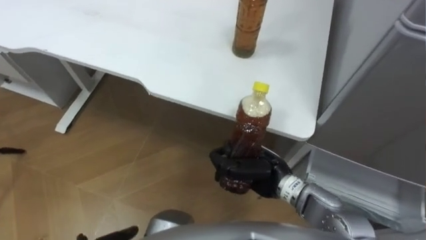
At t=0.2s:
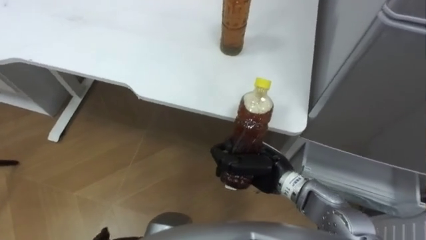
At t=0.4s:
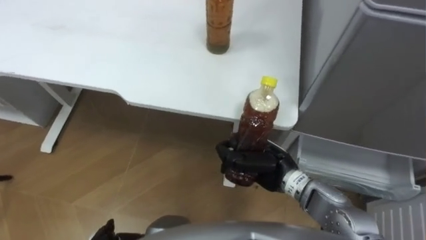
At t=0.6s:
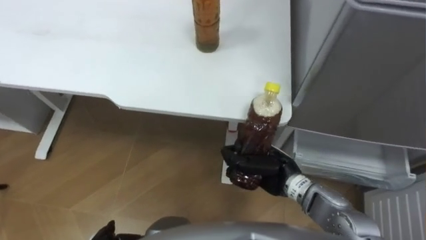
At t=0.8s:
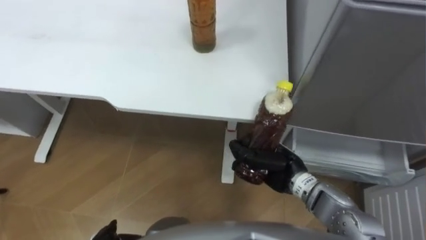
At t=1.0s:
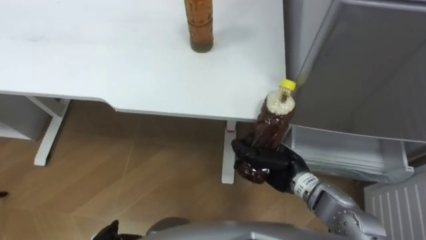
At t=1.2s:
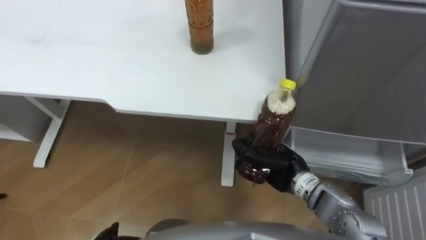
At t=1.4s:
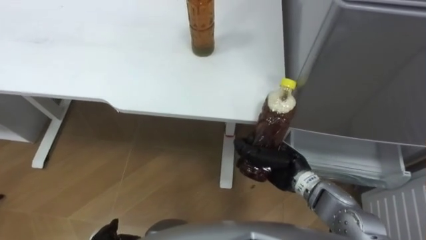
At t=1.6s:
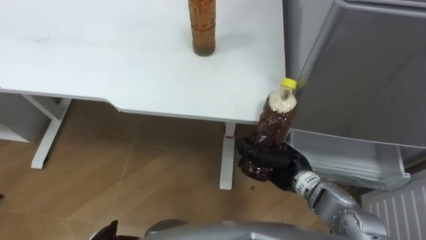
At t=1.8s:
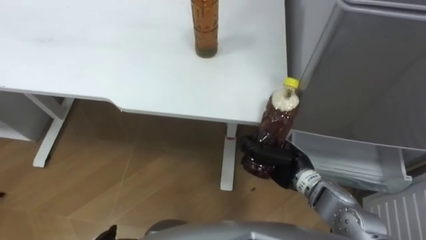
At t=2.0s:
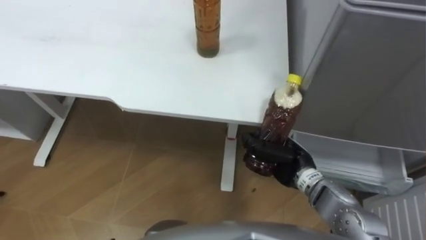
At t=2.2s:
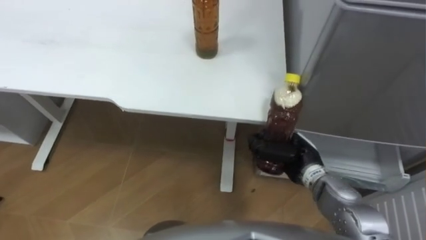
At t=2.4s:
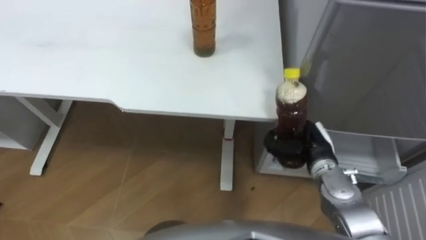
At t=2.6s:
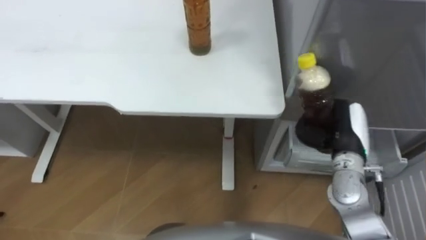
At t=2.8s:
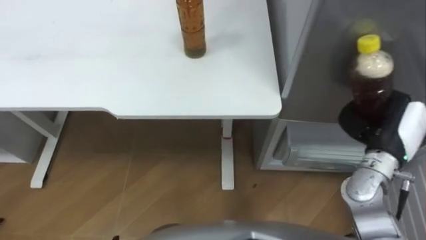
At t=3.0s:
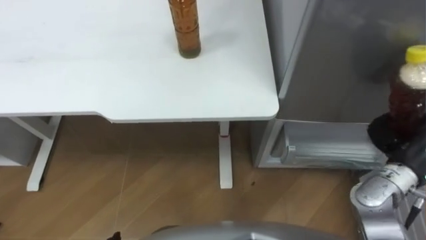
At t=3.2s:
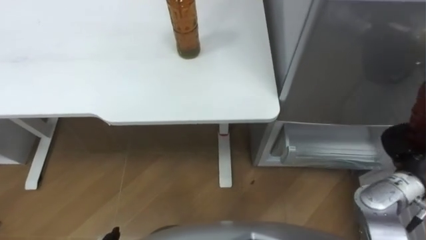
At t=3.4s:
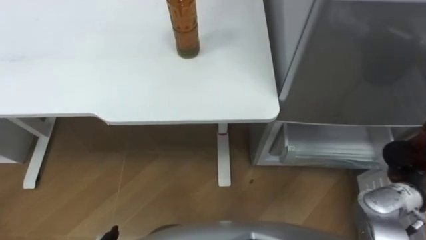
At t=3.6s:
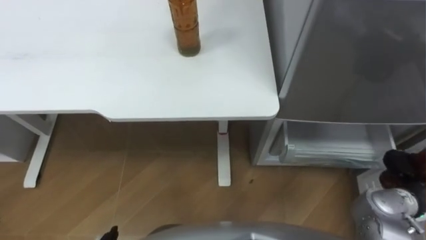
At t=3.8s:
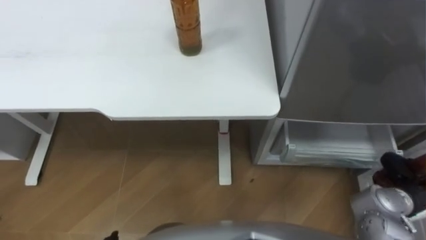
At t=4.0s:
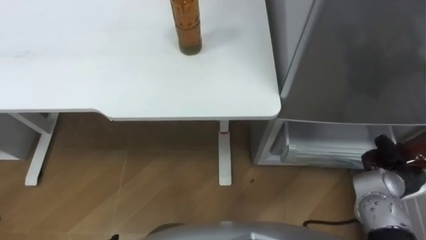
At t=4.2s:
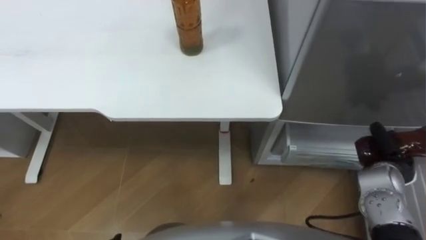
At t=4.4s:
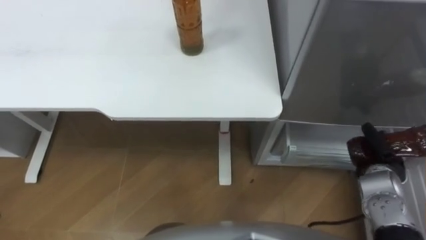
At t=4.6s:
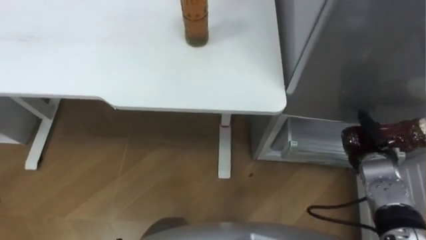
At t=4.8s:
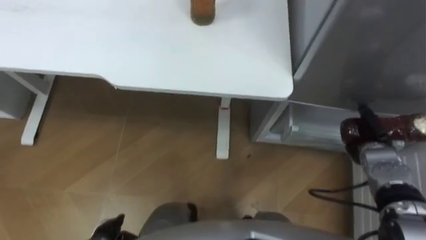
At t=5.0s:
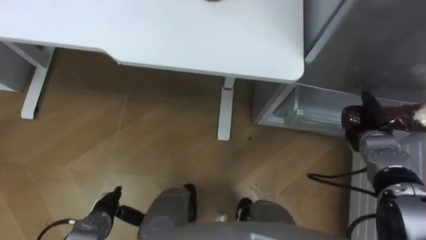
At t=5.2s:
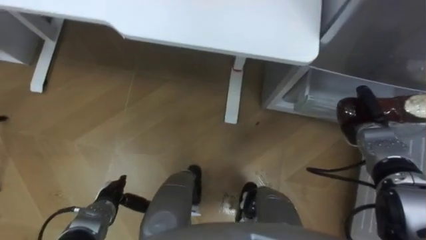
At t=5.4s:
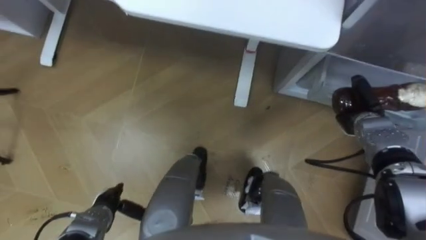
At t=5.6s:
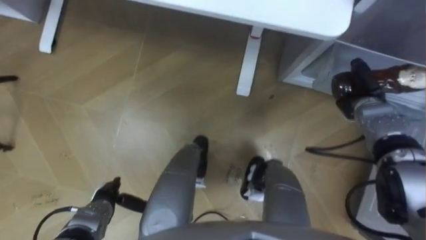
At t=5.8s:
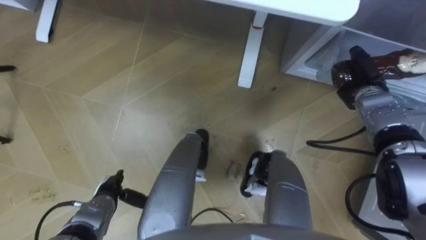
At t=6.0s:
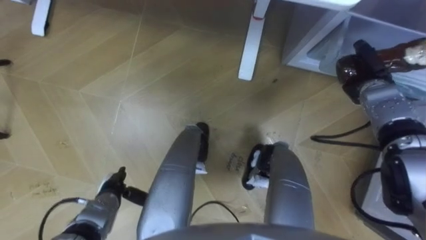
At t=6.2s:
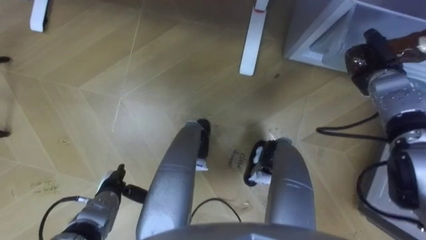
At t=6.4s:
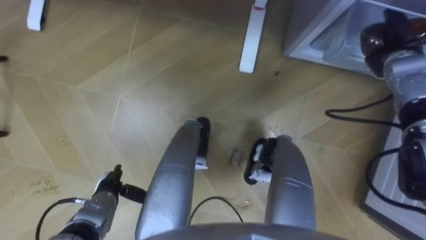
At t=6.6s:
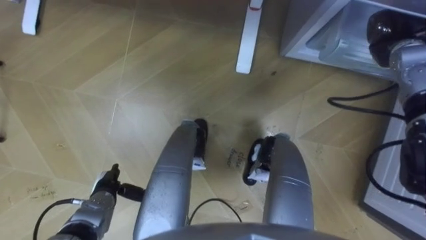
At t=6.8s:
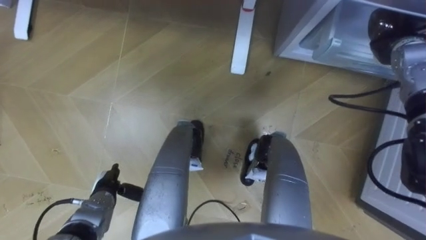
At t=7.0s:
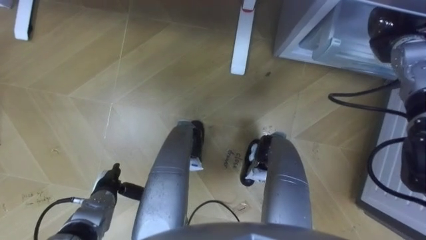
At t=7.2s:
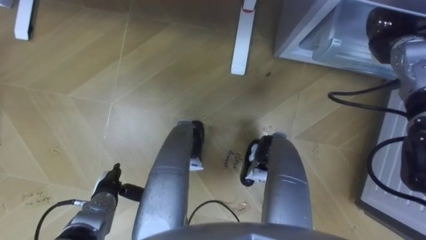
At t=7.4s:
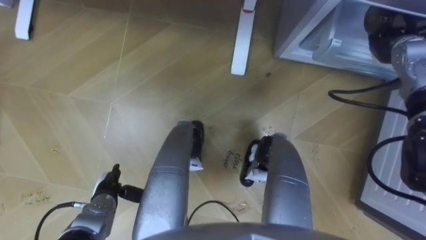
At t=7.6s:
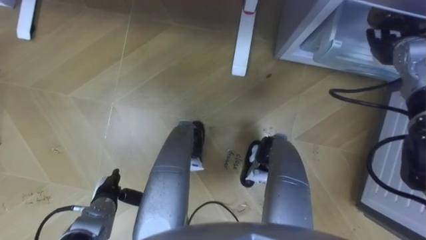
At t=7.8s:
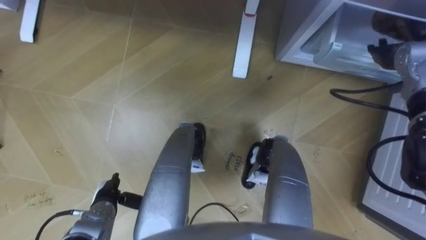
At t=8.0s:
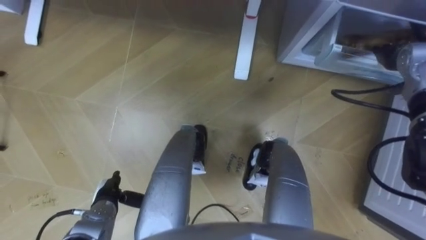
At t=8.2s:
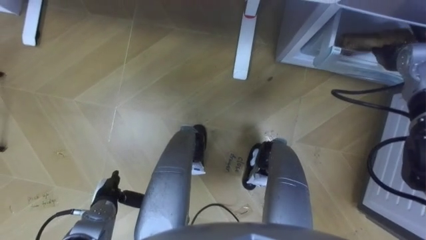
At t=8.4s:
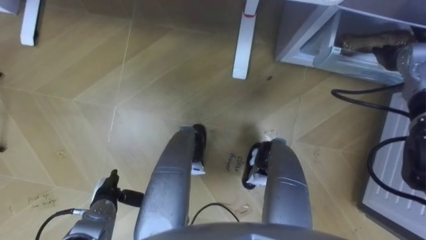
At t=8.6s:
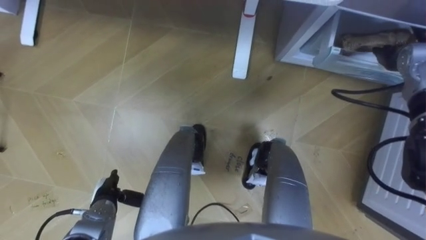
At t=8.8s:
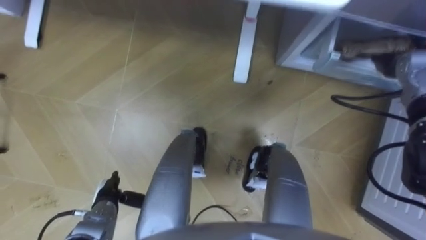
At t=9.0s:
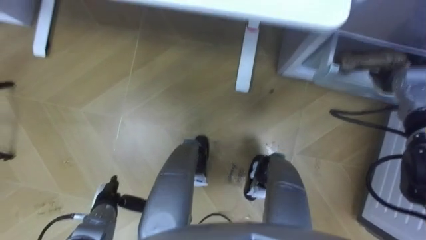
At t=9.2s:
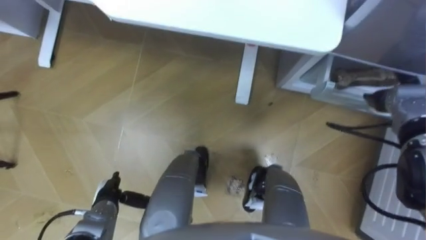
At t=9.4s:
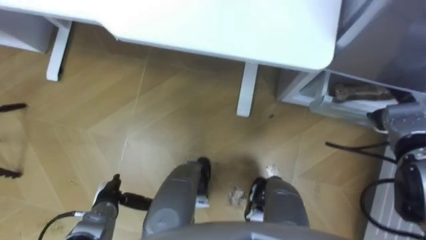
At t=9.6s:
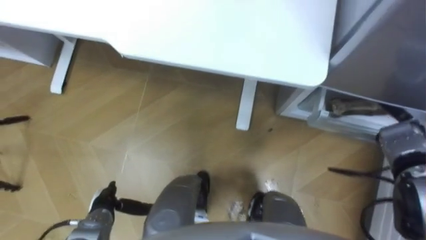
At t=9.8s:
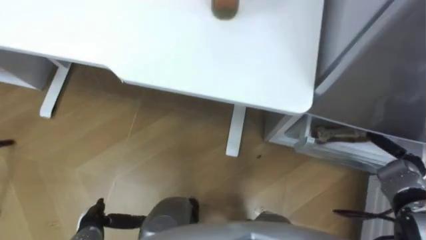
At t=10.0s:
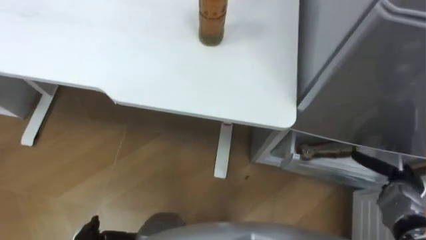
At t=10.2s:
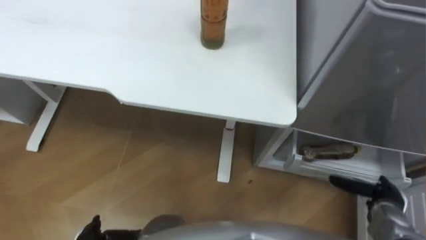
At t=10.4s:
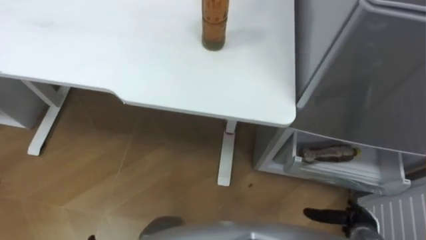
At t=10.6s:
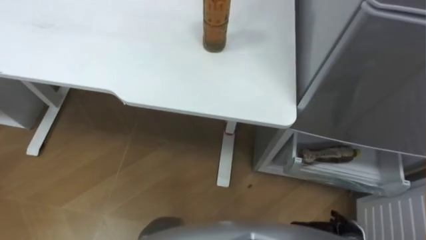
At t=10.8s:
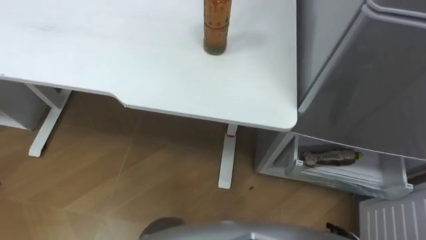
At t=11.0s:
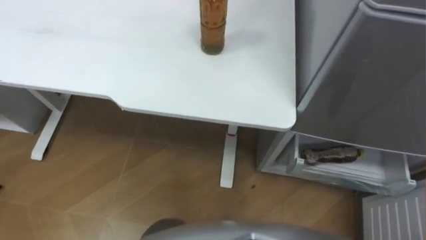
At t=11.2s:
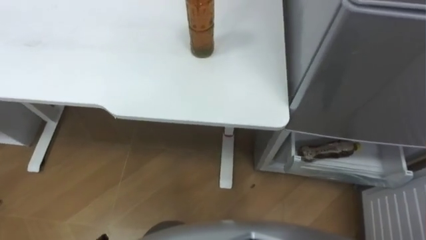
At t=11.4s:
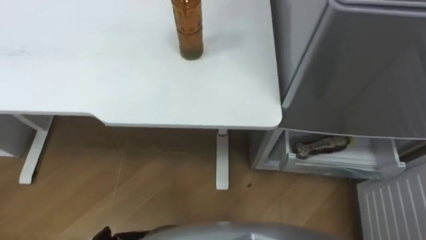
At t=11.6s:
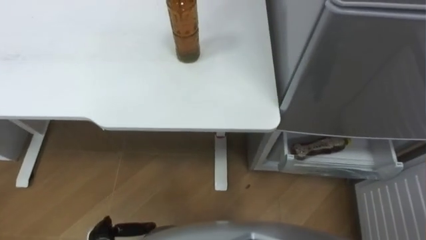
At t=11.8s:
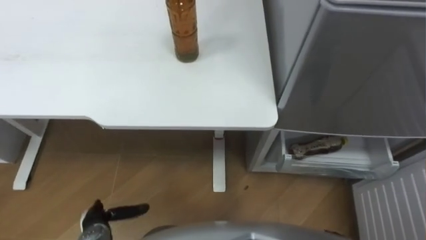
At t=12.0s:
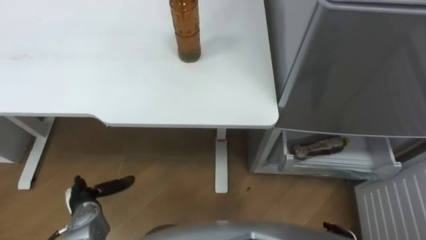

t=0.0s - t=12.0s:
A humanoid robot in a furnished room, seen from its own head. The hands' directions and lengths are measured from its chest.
Task of the whole recording: Place the drink on the table on the bottom shelf of the refrigerator, then close the drawer and the refrigerator door.
t=0.0s - t=1.6s: The right hand heads to the right, covering roughly 5 cm.
t=1.6s - t=3.0s: The right hand heads to the right and upward, covering about 25 cm.
t=3.0s - t=4.4s: The right hand goes approximately 10 cm downward.
t=4.4s - t=6.0s: The right hand goes about 15 cm forward.
t=6.0s - t=7.6s: The right hand moves upward, roughly 10 cm, and opens.
t=7.6s - t=9.0s: The right hand changes place by about 5 cm.
t=9.0s - t=10.4s: The right hand travels backward and downward by roughly 30 cm.

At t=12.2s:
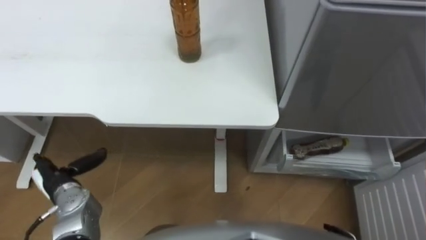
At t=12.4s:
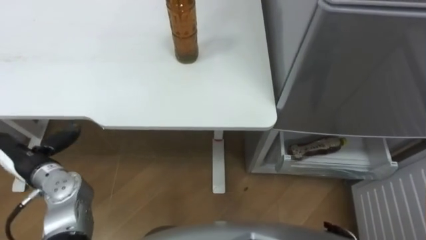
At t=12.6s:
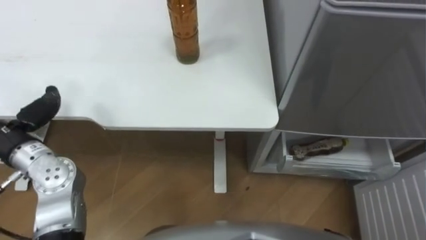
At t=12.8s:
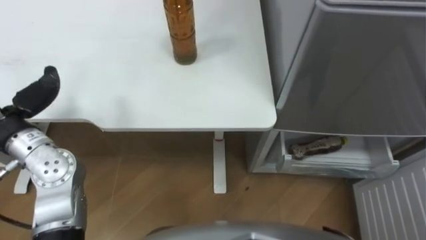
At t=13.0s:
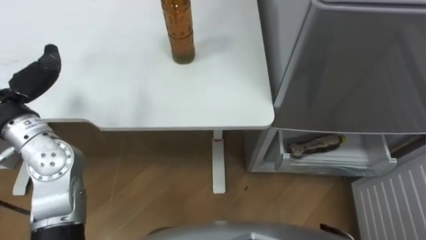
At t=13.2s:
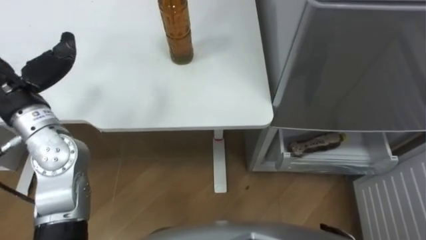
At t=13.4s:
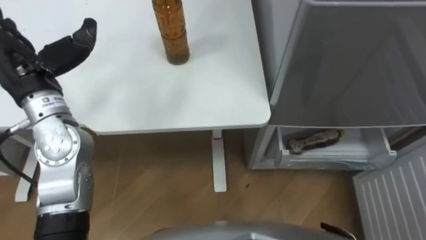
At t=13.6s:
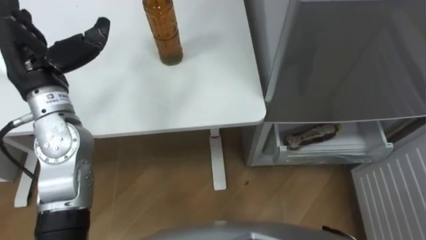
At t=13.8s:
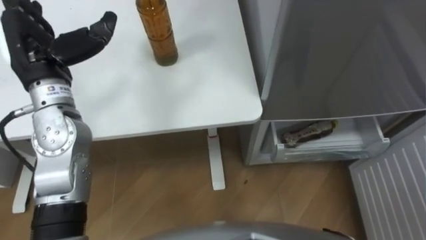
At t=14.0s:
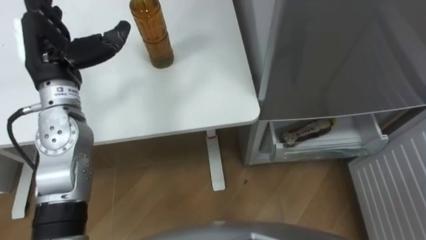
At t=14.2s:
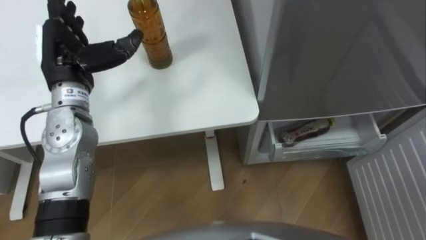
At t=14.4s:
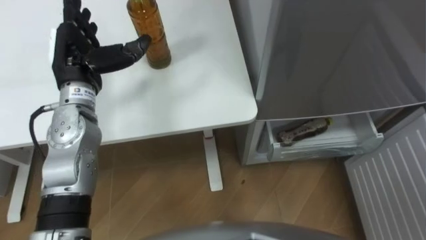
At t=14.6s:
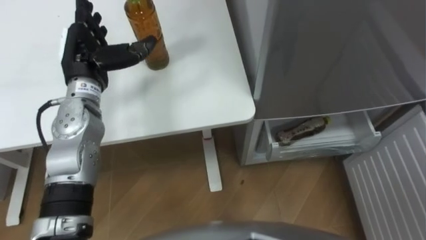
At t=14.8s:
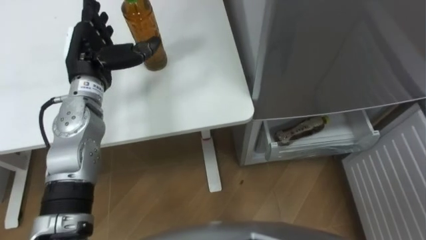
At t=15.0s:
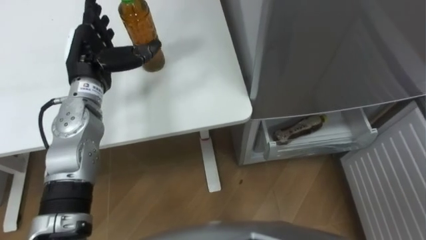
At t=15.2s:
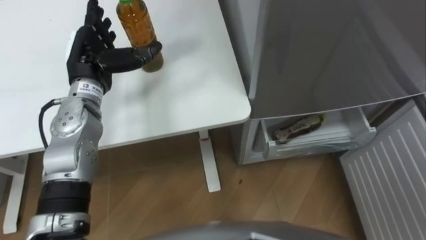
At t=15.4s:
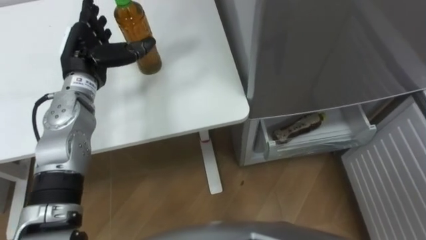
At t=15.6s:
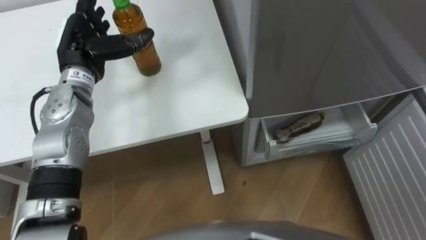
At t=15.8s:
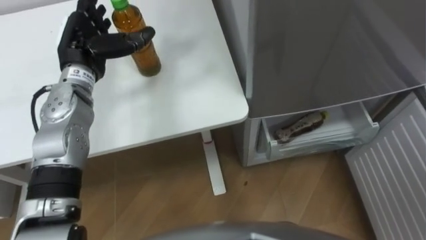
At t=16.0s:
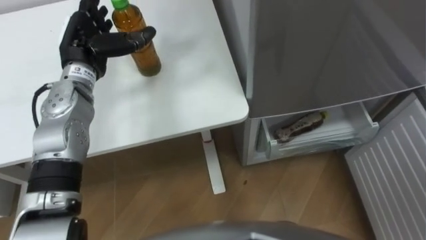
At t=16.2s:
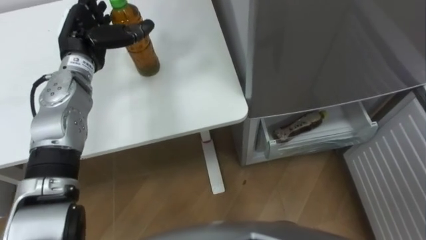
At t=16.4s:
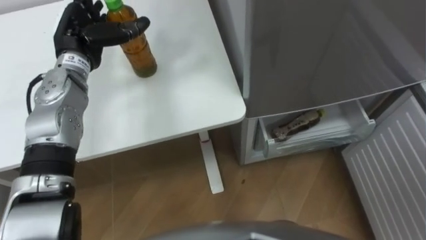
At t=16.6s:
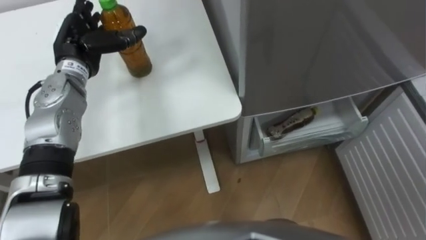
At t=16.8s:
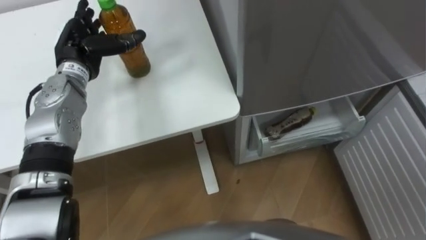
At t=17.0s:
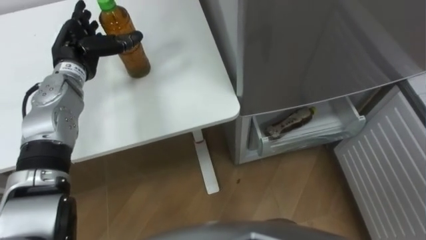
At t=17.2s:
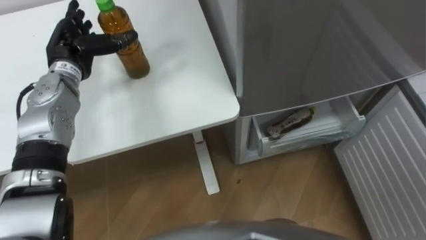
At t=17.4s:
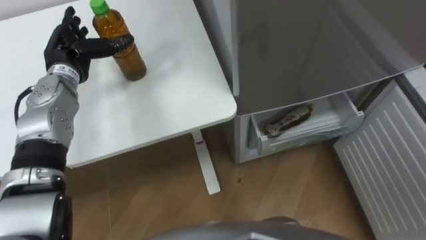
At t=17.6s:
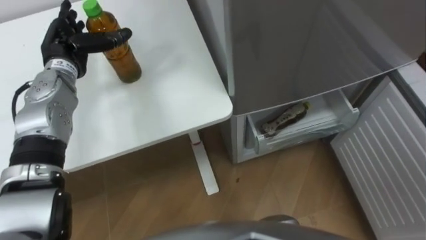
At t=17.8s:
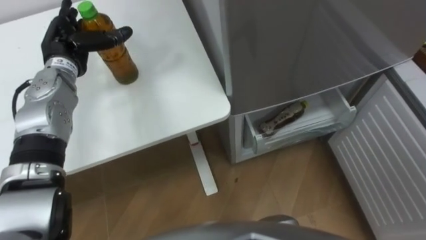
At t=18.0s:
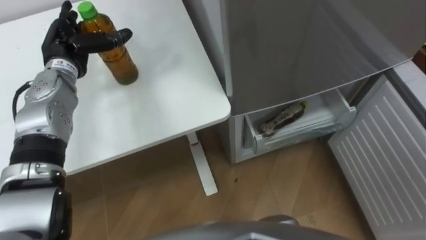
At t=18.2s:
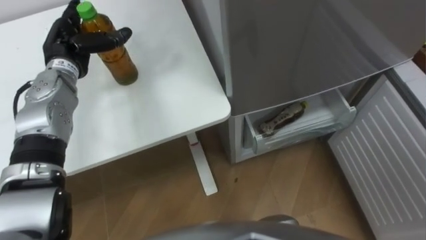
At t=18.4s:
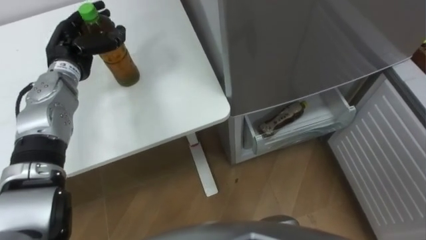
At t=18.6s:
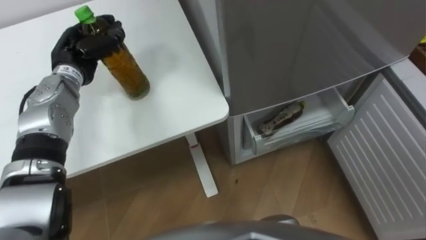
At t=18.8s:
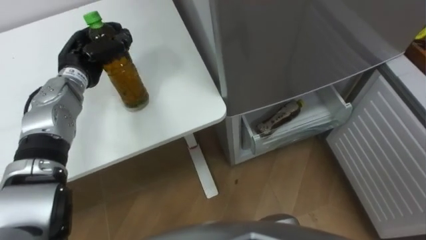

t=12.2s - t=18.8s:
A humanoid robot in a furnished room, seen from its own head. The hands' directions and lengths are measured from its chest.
Task of the whole recording: Place the drink on the table on the bottom shelf of the refrigerator, then close the drawer and the refrigerator door.
t=13.8s - t=15.4s: The left hand travels downward and forward by about 10 cm.
t=17.2s - t=18.8s: The left hand closes.
